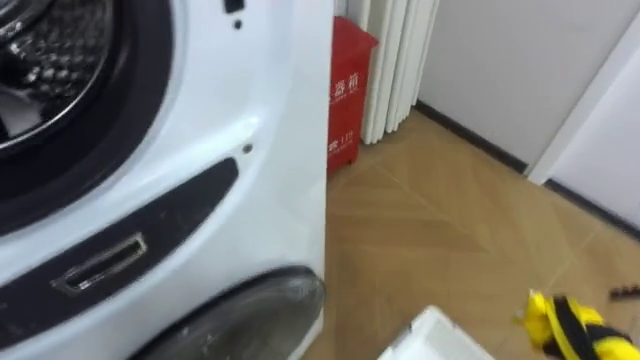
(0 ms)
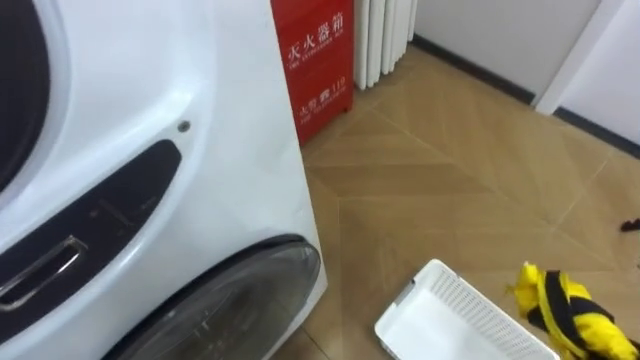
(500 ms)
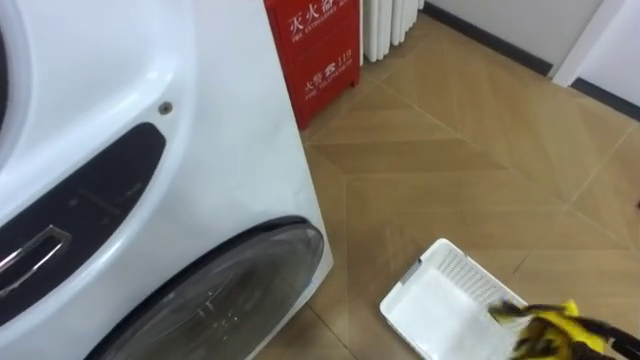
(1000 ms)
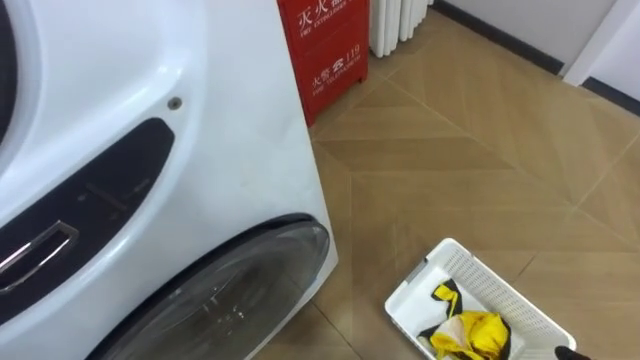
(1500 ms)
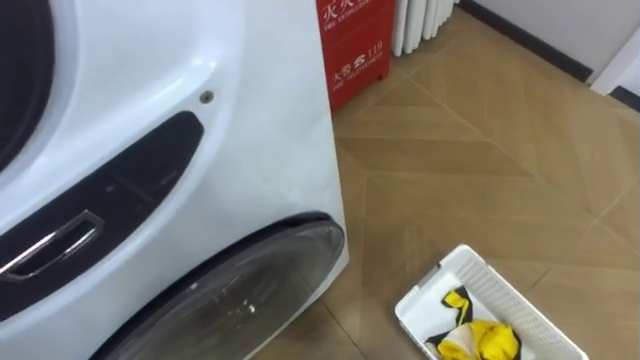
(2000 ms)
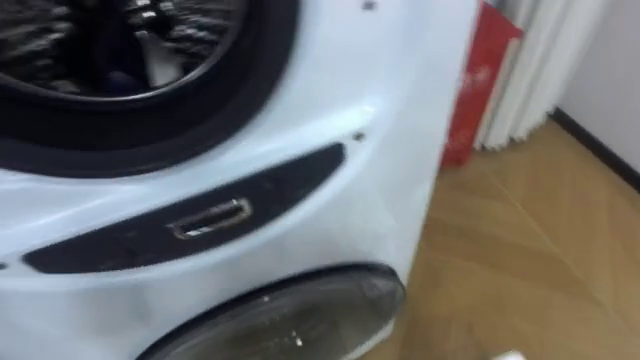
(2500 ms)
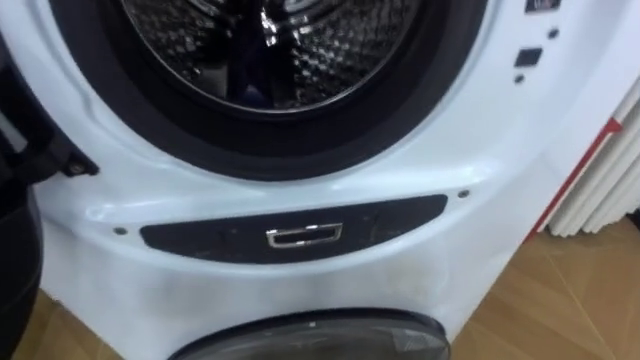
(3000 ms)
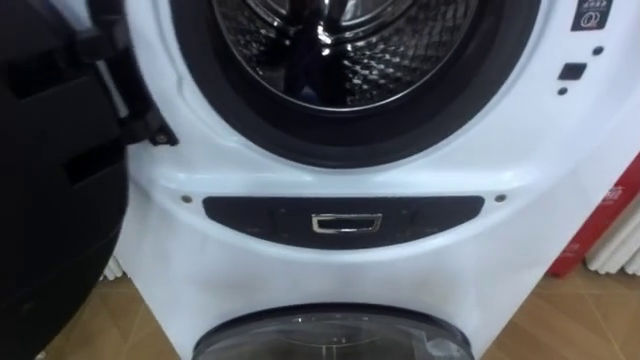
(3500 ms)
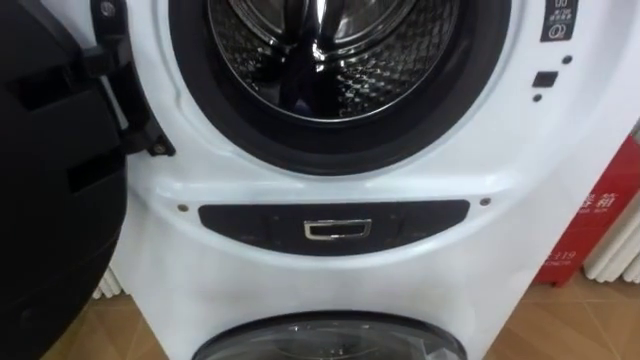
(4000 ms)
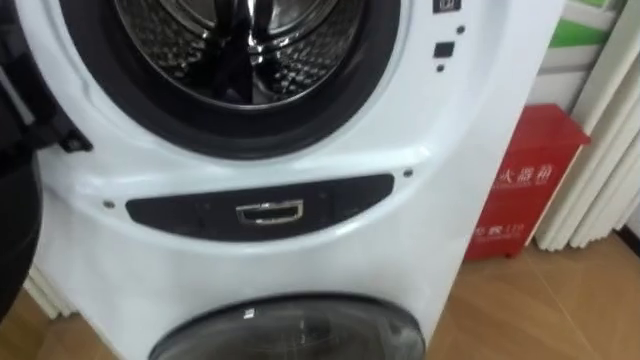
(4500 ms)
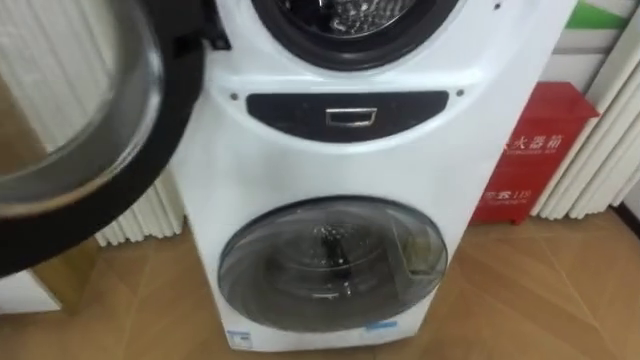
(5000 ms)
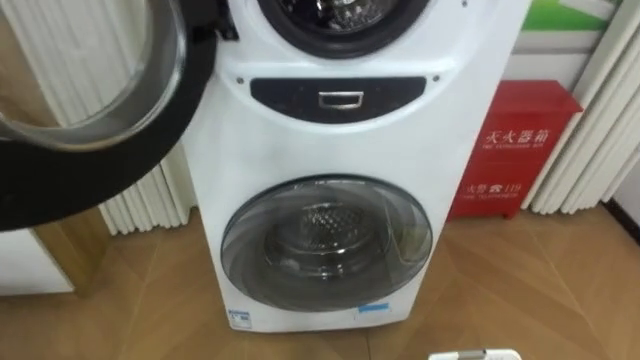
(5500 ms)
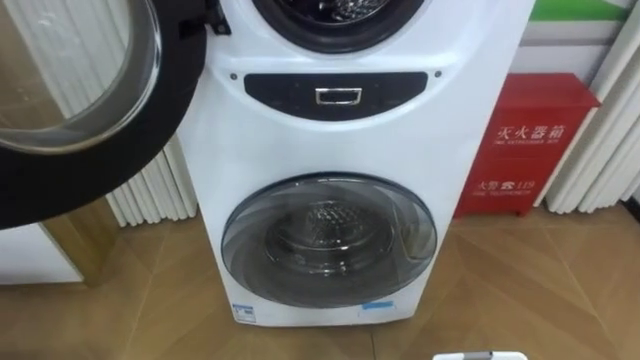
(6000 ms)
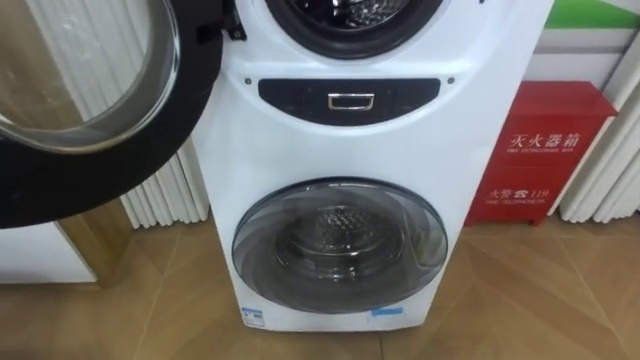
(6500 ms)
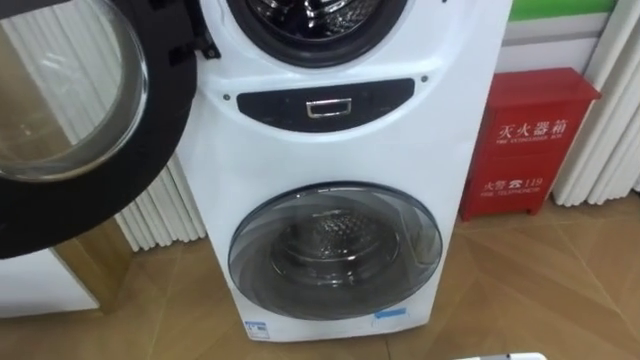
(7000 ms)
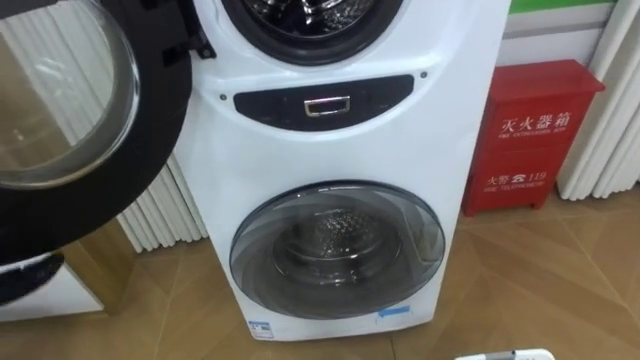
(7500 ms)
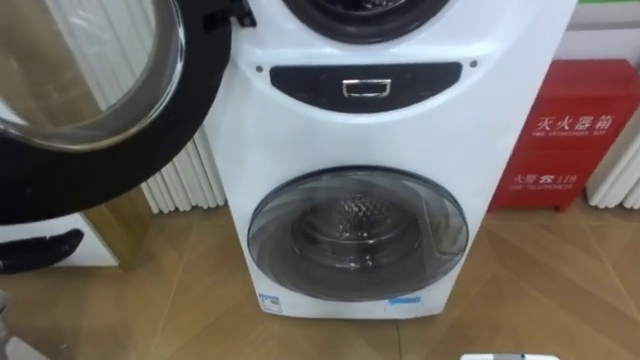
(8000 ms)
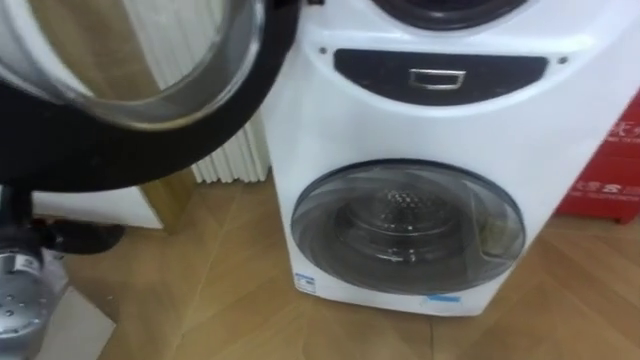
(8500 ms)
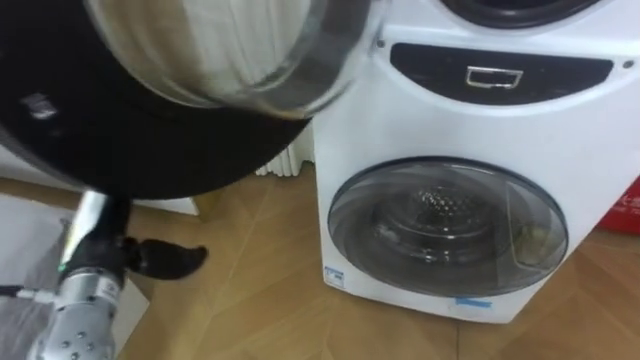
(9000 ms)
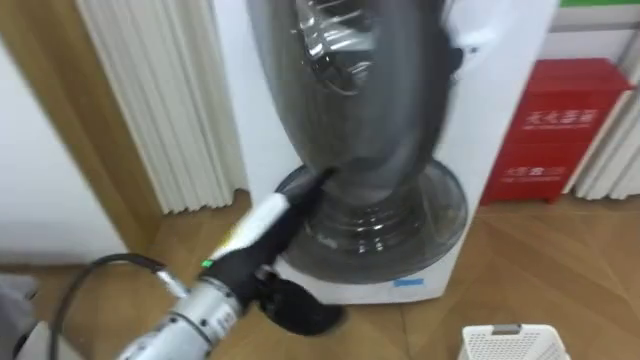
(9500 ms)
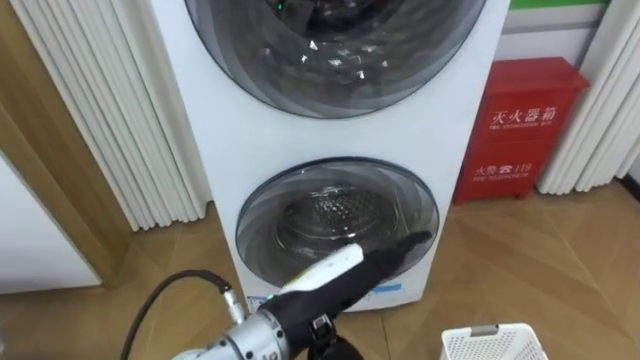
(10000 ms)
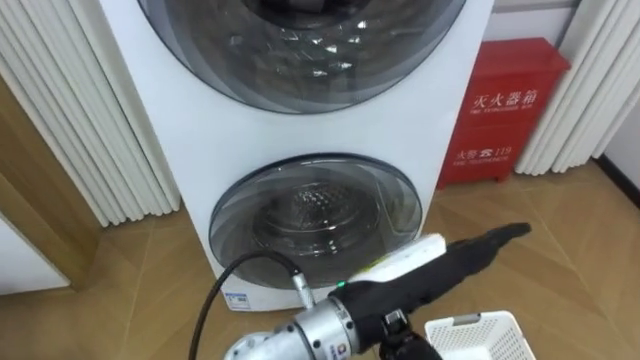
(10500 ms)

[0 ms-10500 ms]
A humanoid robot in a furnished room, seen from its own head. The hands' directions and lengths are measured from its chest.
Task of the whole recording: Open the washing machine door, take out the yellow clothes, place them in the box on the right, and close the washing machine door.
8500 ms to 10500 ms: The left hand goes some 40 cm to the right.

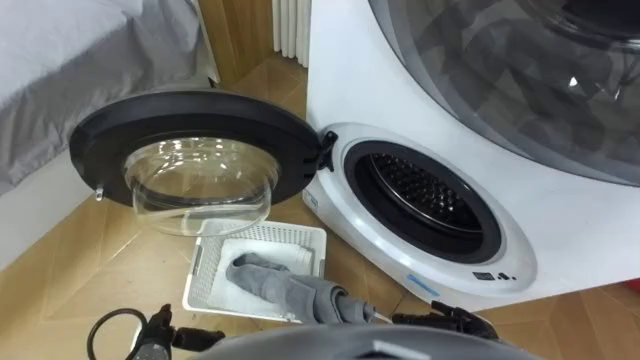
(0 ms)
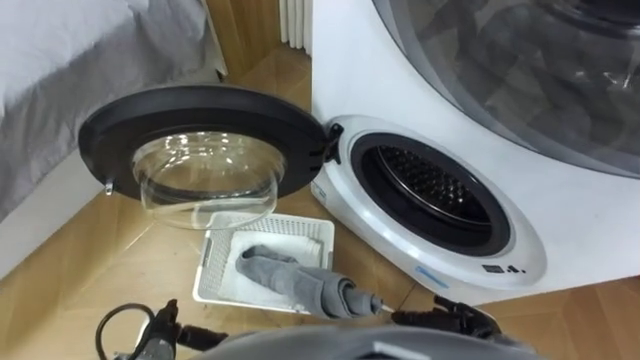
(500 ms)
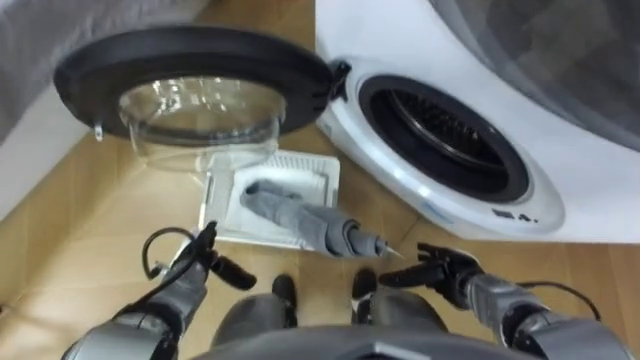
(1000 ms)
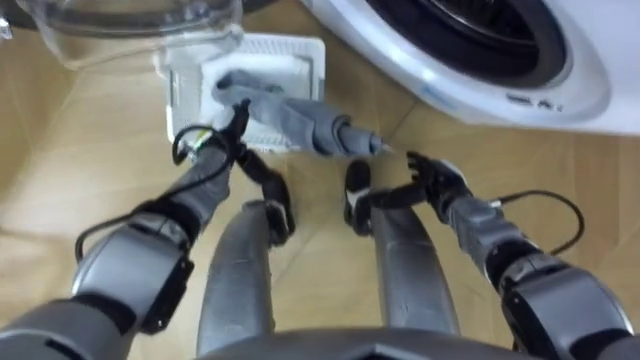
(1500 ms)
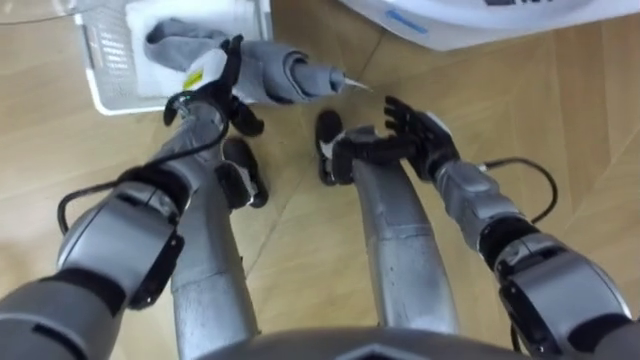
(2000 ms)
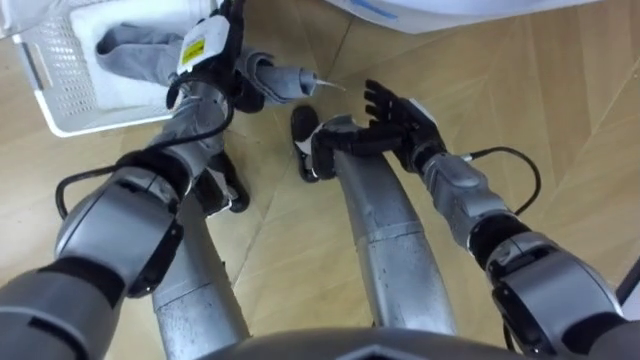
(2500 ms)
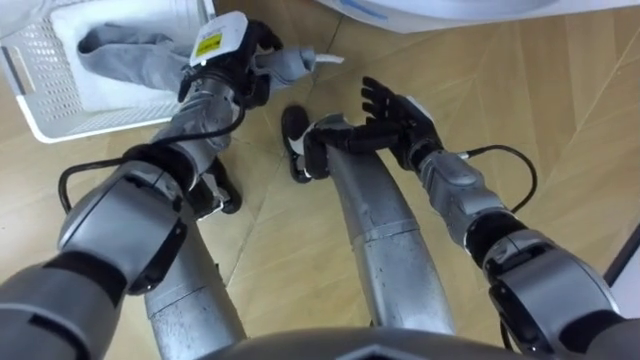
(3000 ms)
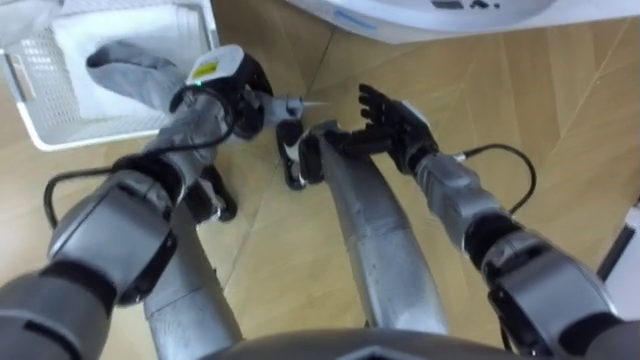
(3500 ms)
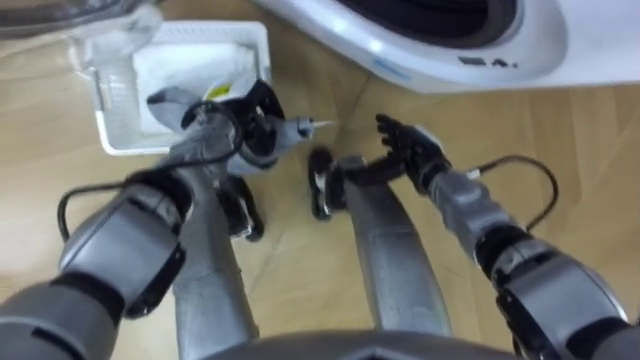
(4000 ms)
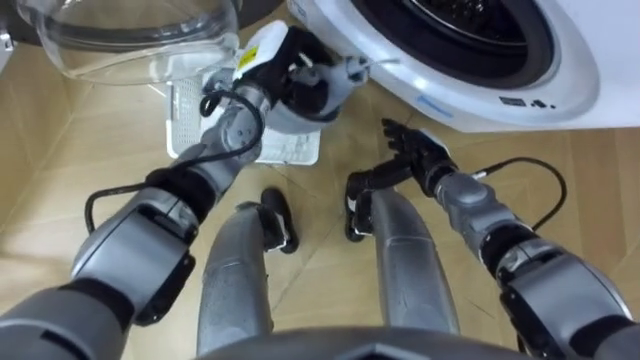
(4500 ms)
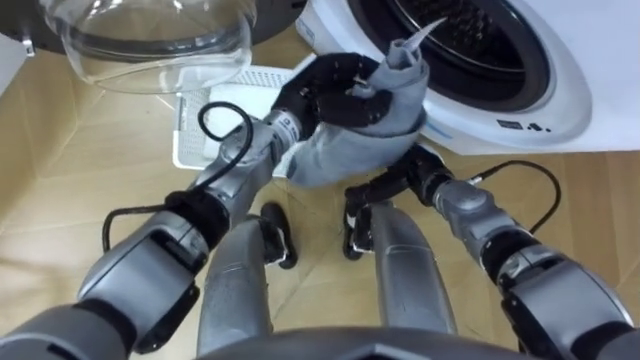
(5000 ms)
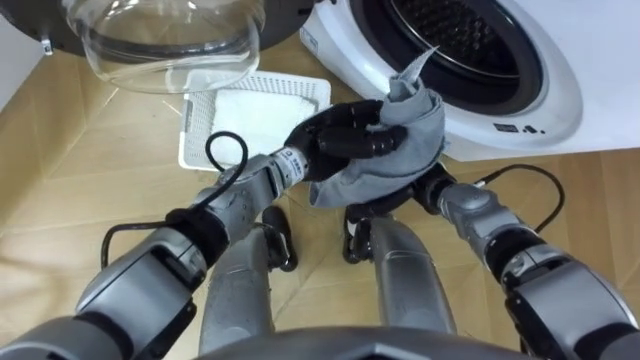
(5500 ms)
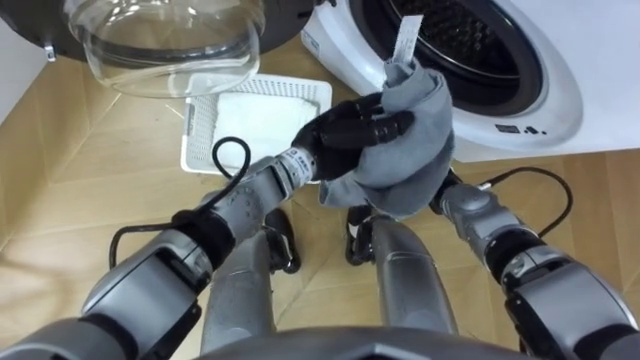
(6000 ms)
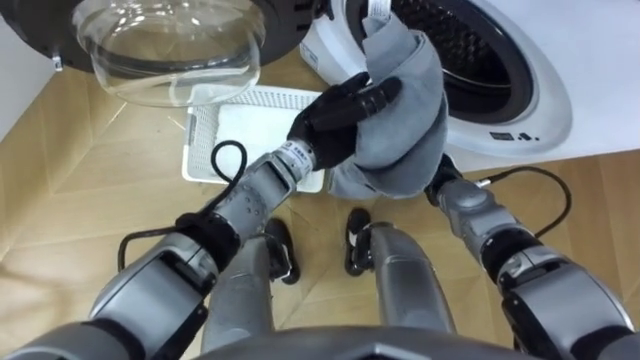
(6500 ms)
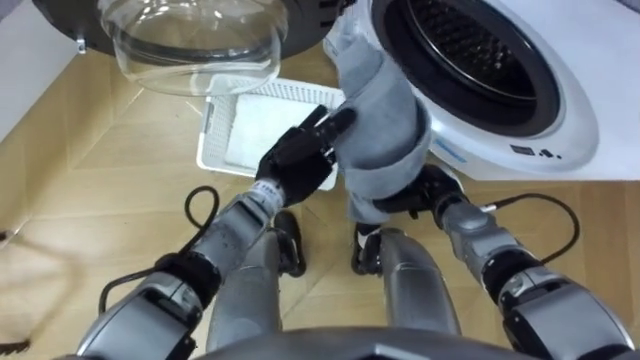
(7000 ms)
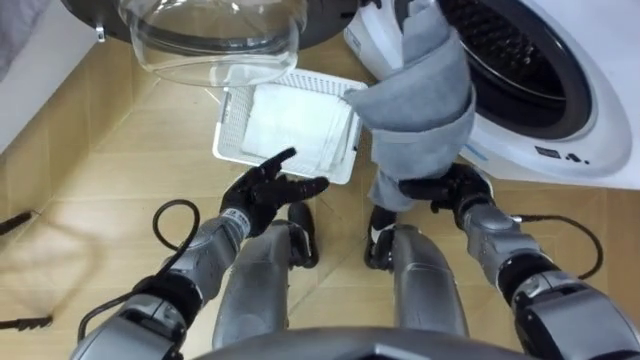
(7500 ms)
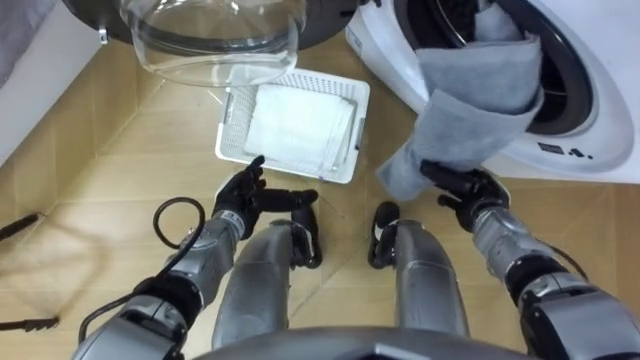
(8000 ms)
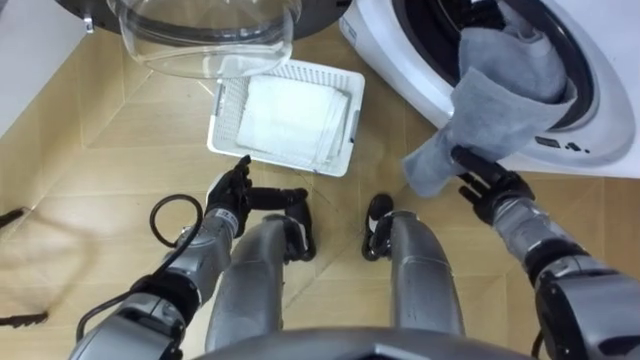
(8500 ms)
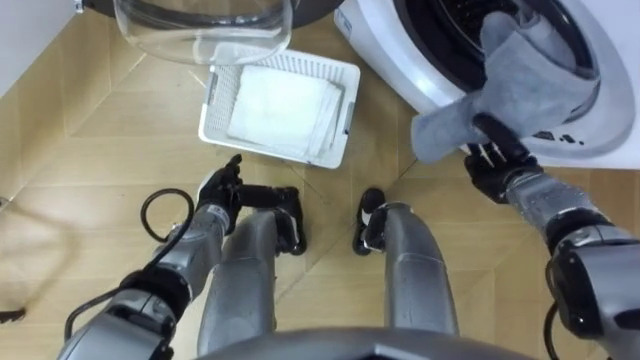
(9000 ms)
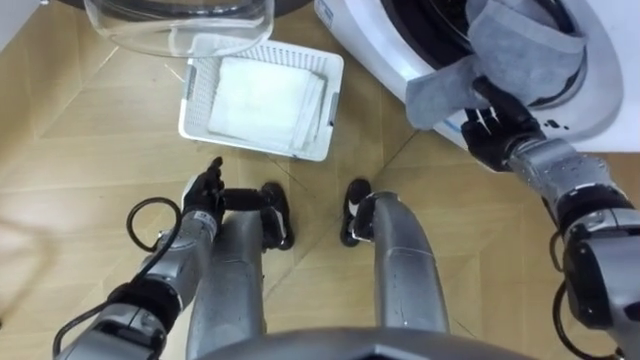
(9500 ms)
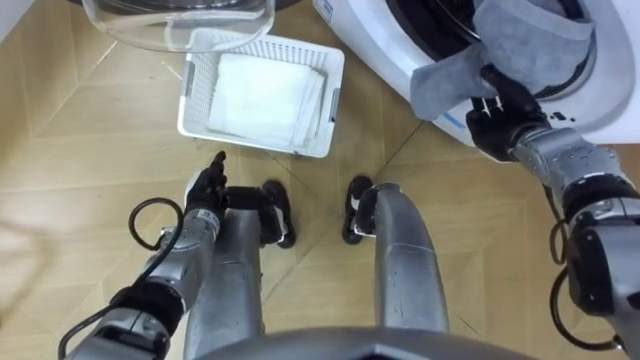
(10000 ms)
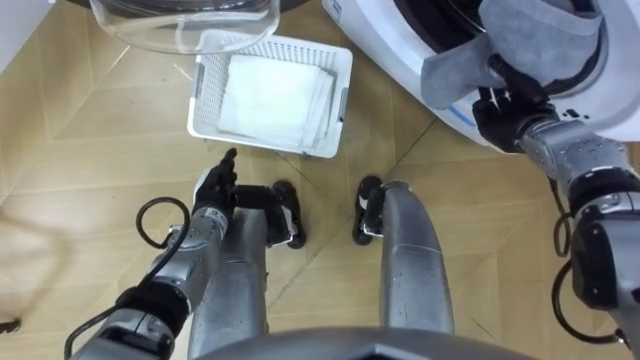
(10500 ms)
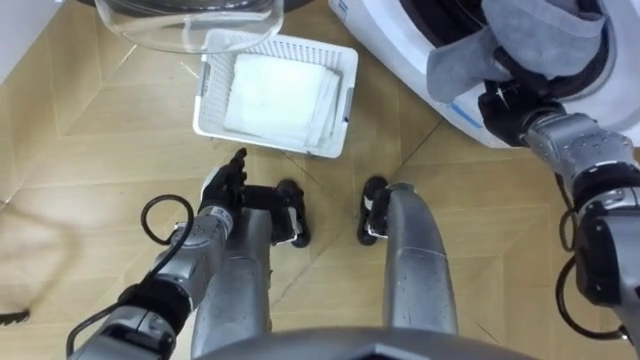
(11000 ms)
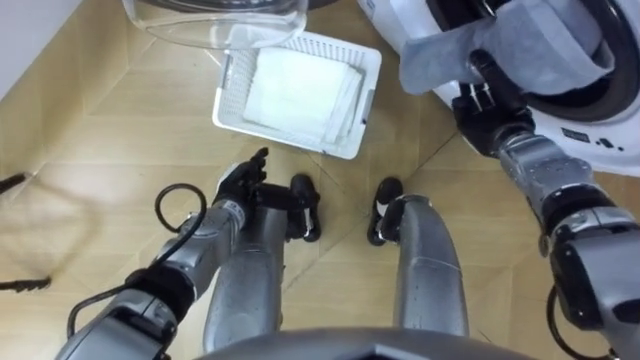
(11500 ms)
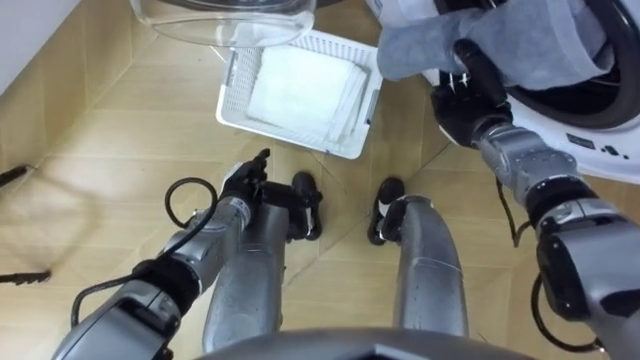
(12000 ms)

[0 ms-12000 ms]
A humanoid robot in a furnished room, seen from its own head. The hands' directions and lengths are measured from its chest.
Task of the whole recording: Take the towel from the basket and put it into the washing machine.
2000 ms to 4000 ms: The left hand closes its fingers.
4000 ms to 6000 ms: The right hand closes up; the left hand travels to the right and backward by about 15 cm.
6000 ms to 8000 ms: The left hand shifts about 20 cm to the left and downward, and opens; the right hand goes some 10 cm to the right.
8000 ms to 10000 ms: The right hand shifts some 10 cm forward and upward.
10000 ms to 12000 ms: The right hand goes roughly 5 cm to the left; the left hand heads to the right, covering approximately 5 cm.
